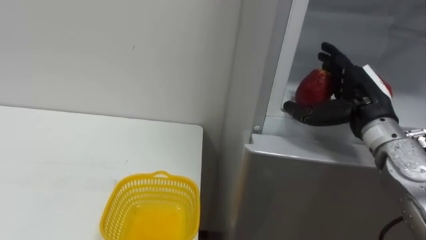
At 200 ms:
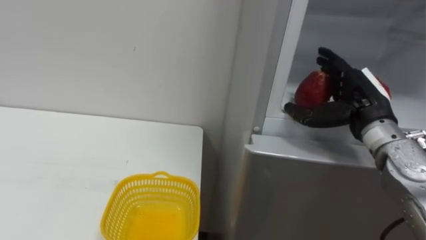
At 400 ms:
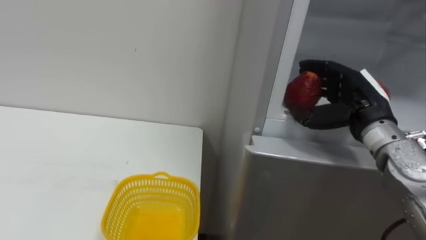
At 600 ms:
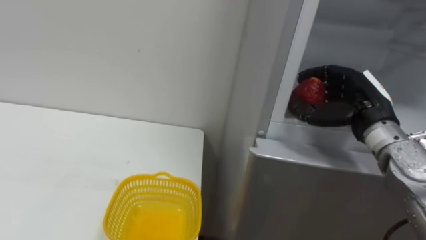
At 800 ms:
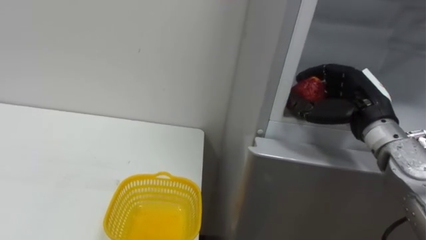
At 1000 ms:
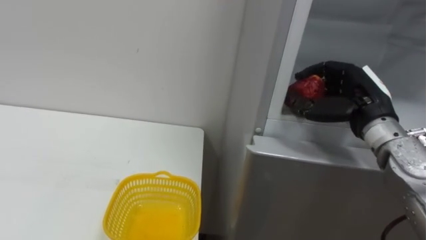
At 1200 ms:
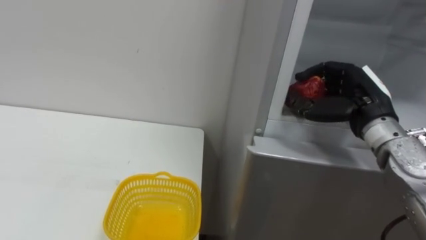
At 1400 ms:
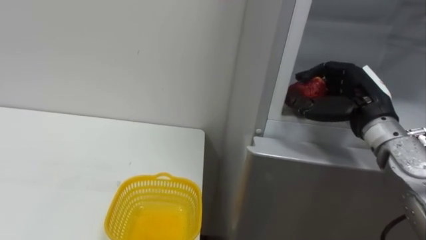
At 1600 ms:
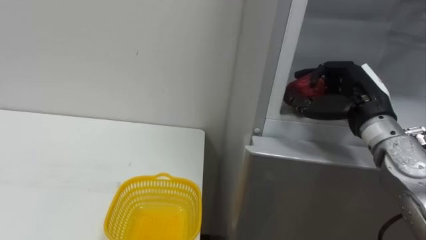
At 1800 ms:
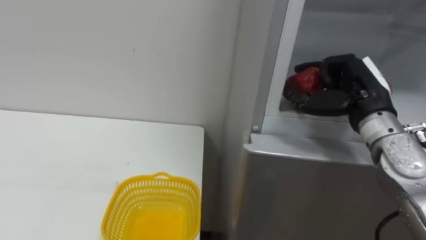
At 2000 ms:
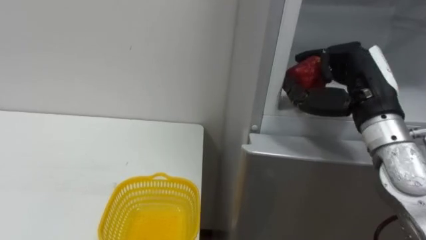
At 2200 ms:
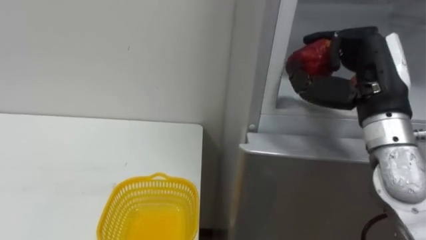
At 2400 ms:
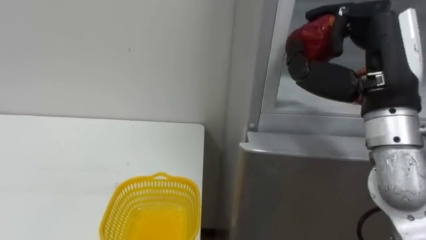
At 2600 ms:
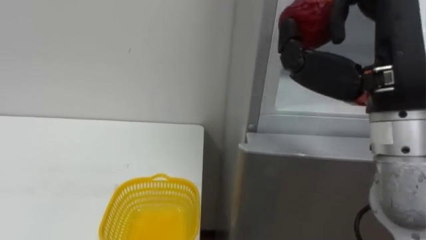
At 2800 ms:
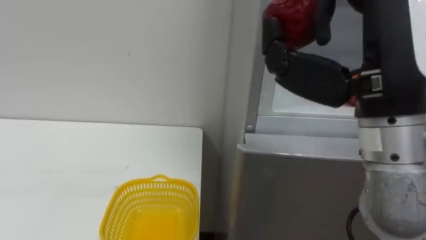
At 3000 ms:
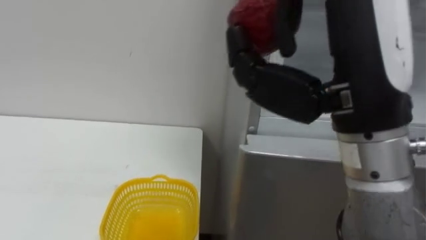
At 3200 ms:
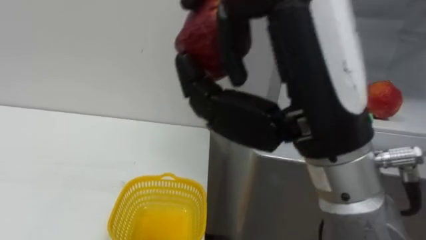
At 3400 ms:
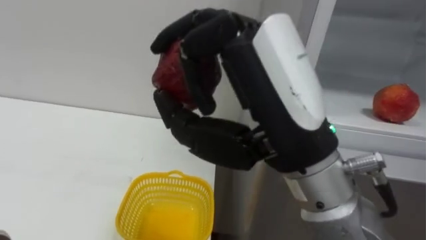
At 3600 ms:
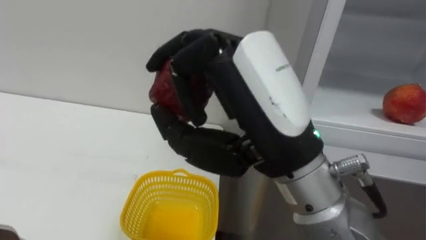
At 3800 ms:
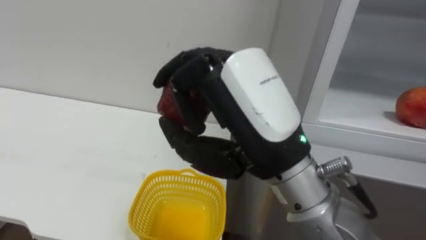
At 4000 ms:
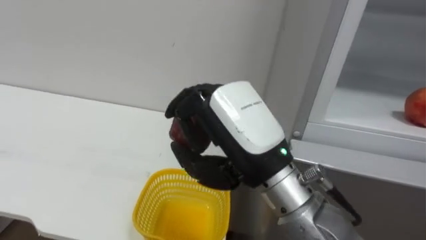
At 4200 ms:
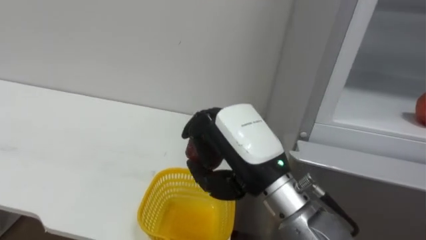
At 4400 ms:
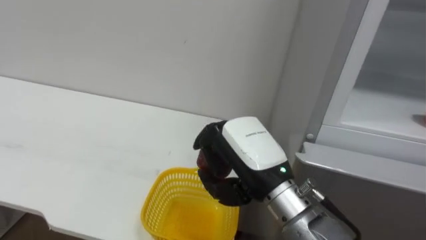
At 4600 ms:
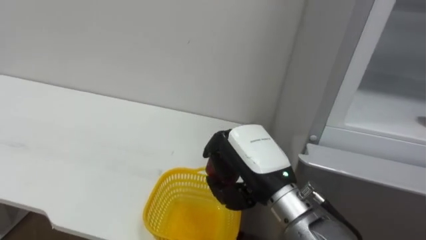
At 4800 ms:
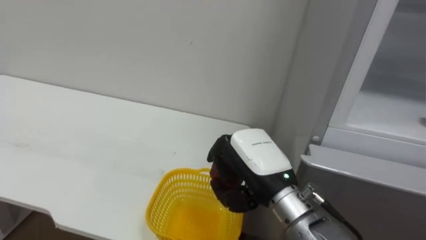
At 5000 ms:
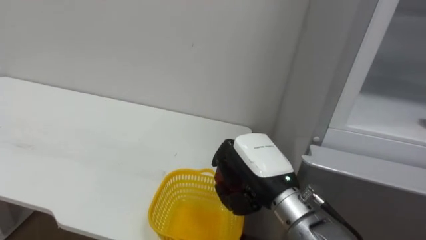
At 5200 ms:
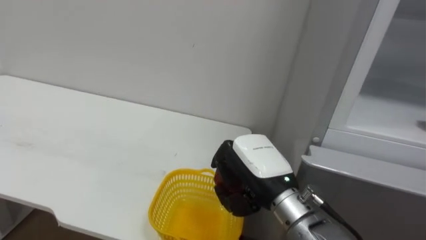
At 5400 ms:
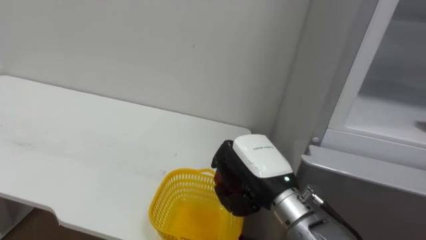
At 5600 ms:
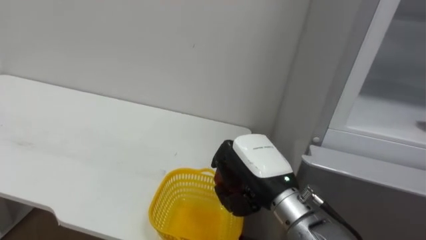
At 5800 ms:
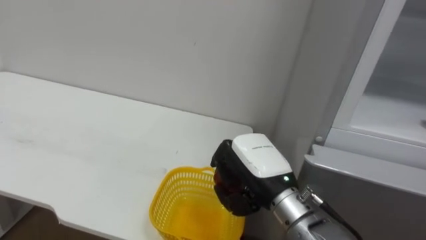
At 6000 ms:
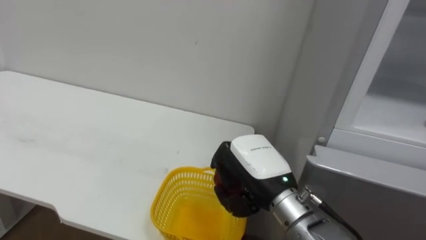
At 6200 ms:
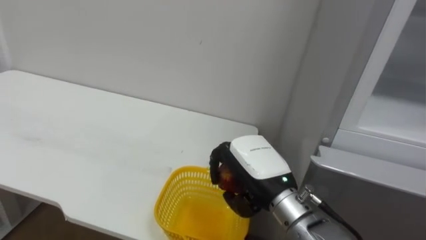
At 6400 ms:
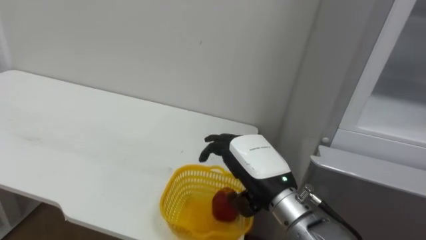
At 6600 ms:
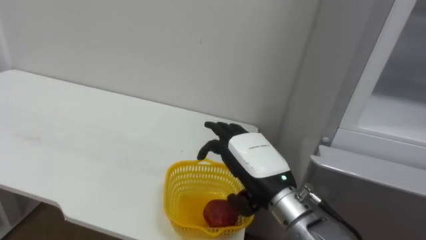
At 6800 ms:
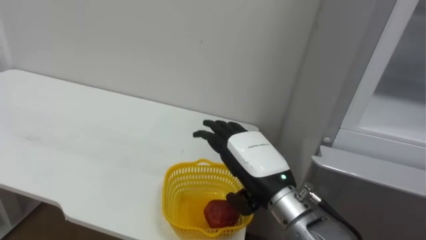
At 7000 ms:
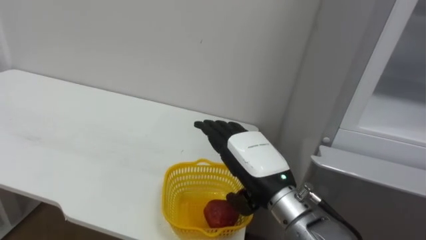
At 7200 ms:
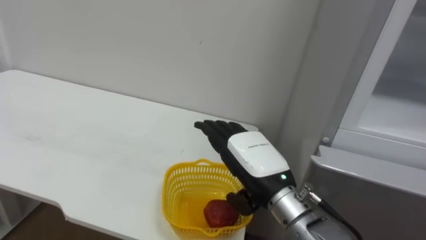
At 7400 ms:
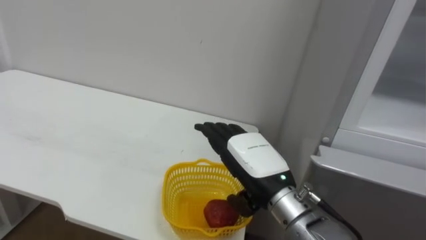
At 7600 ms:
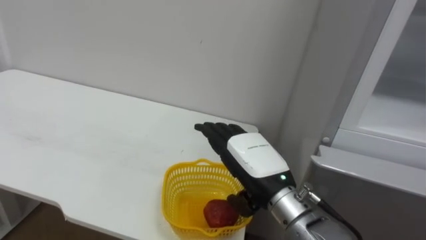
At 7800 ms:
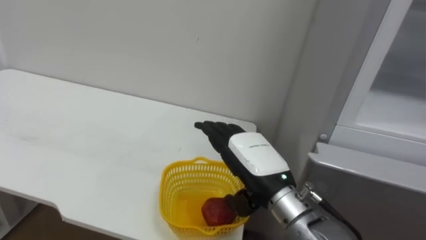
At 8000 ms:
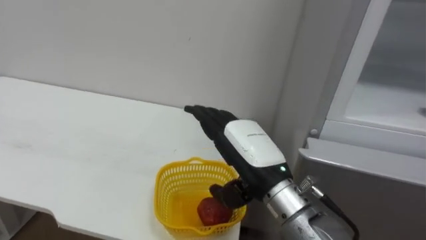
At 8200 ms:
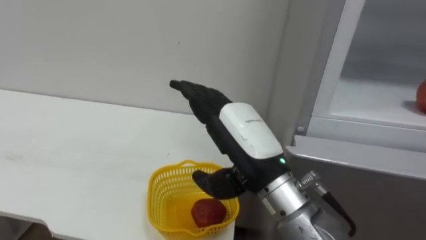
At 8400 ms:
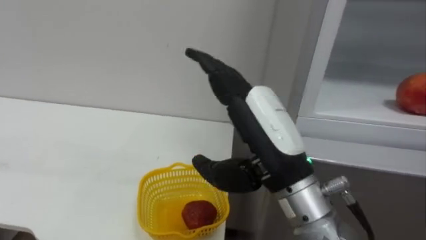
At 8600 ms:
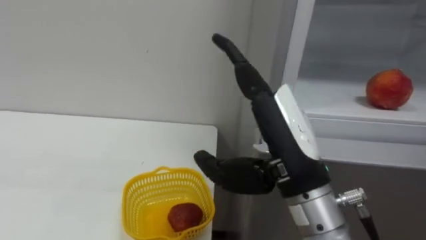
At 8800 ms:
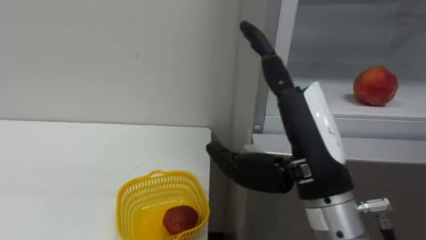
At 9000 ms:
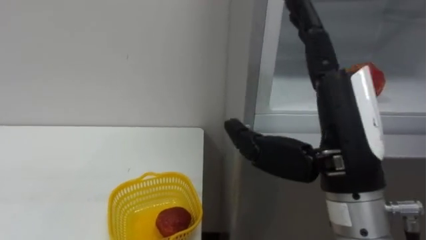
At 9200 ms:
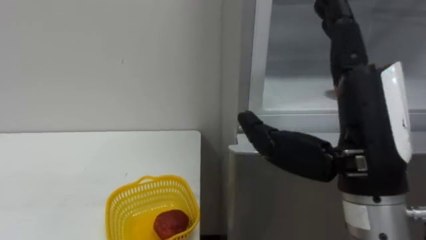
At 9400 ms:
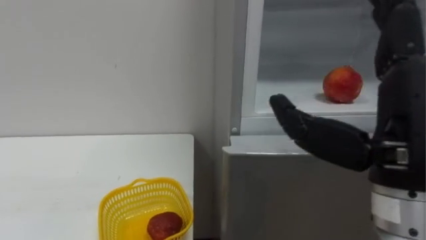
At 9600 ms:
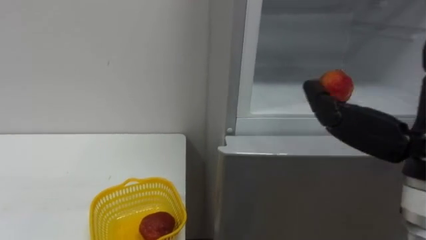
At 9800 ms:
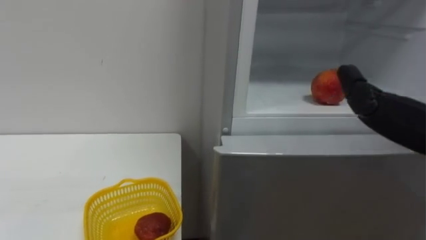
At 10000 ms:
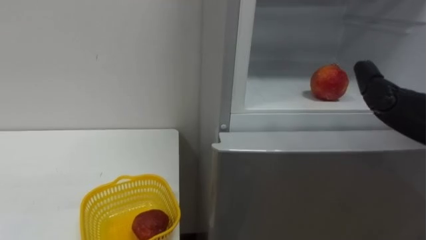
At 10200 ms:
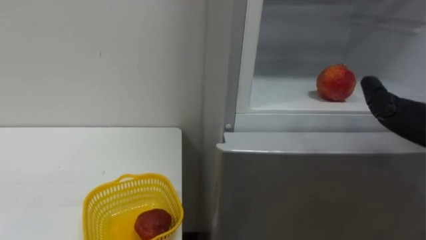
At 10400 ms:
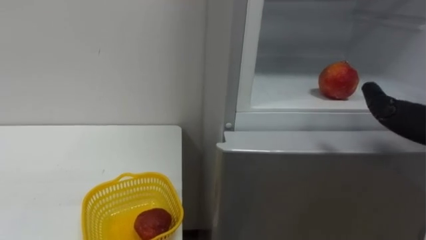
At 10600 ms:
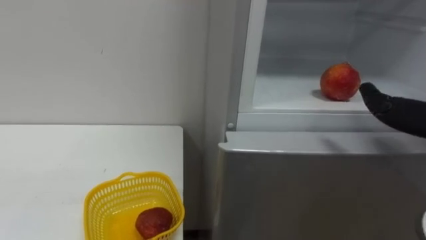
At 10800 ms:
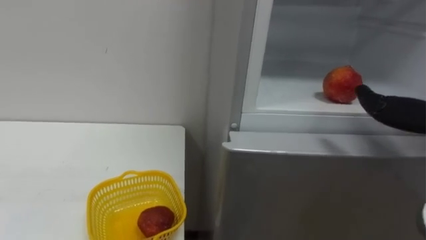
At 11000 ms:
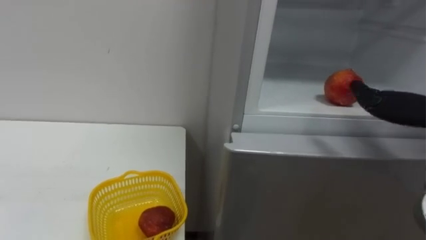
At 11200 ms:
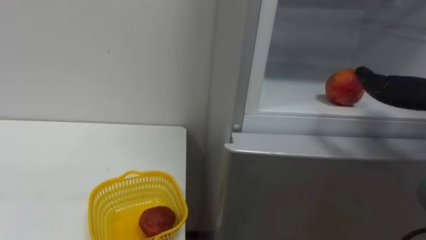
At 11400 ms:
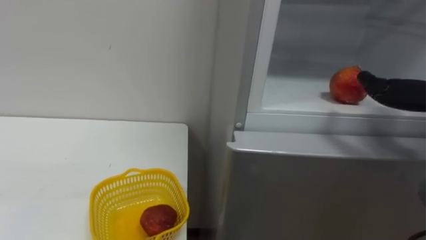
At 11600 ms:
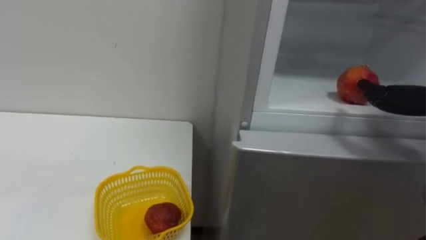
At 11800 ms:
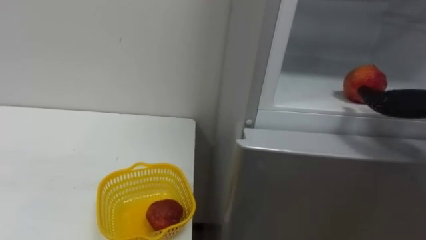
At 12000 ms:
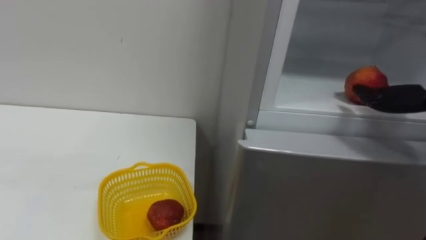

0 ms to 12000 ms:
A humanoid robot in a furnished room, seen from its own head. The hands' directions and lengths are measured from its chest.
Task of the whole recording: Open the refrigerator door, take out the apple and the pomegranate, place them in the fruit basket on the left, and close the refrigerator door.
0 ms to 1600 ms: The right hand closes its fingers.
1600 ms to 3000 ms: The right hand goes some 25 cm backward, upward and to the left.
3000 ms to 4400 ms: The right hand is displaced downward, to the left and forward by roughly 20 cm.
4400 ms to 6000 ms: The right hand ends up about 5 cm from where it was.
6000 ms to 7600 ms: The right hand opens.
7600 ms to 9000 ms: The right hand travels upward, backward and to the right by approximately 15 cm.

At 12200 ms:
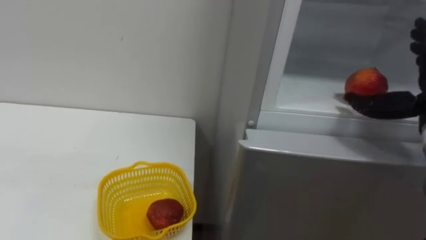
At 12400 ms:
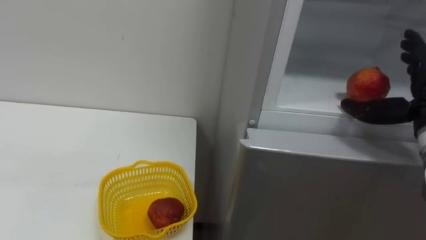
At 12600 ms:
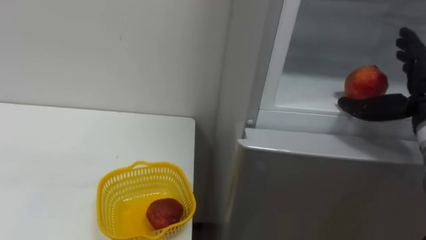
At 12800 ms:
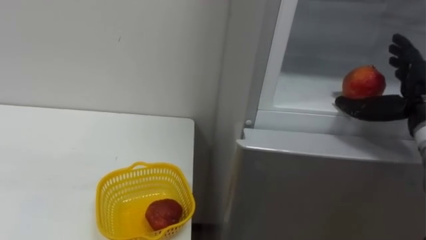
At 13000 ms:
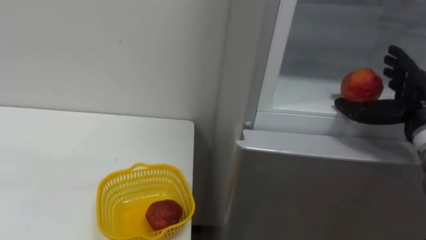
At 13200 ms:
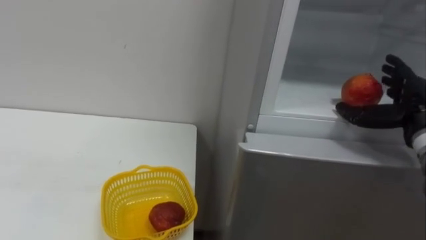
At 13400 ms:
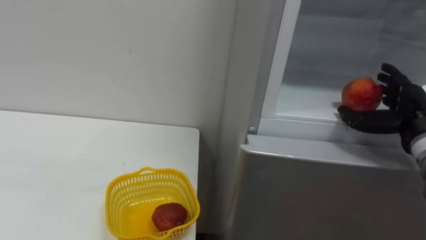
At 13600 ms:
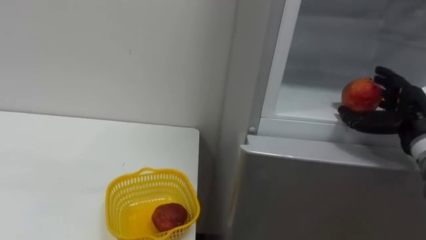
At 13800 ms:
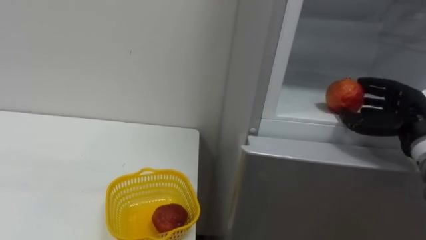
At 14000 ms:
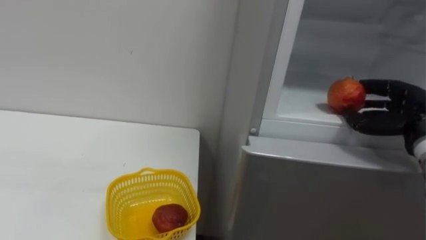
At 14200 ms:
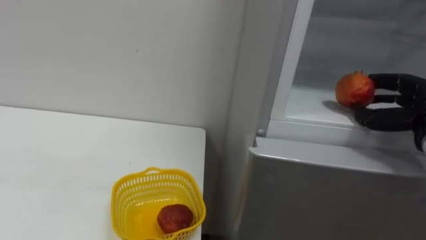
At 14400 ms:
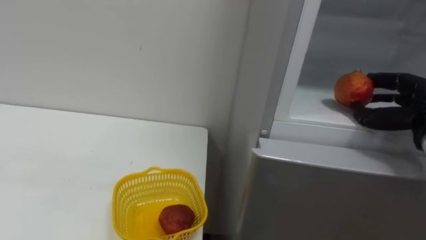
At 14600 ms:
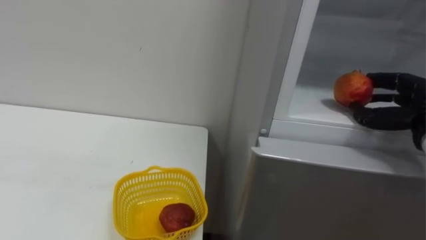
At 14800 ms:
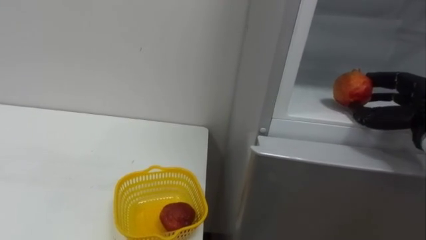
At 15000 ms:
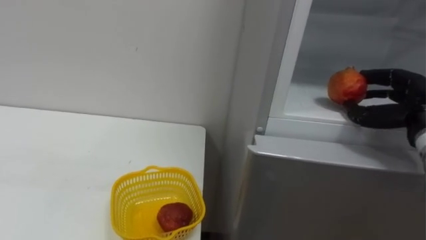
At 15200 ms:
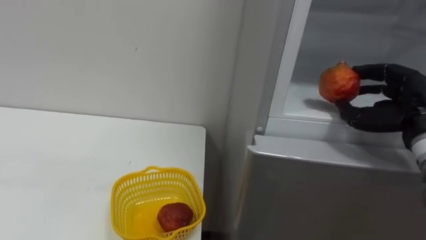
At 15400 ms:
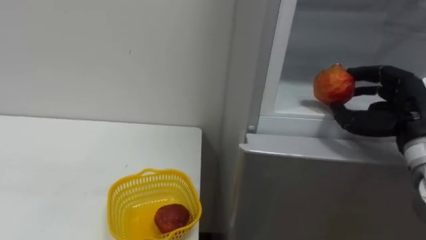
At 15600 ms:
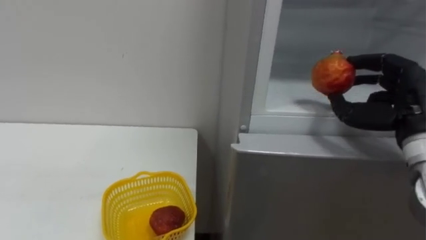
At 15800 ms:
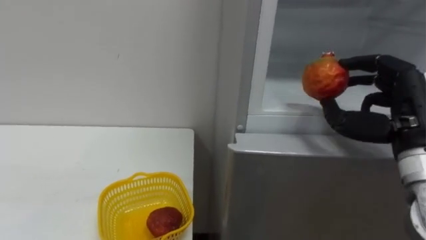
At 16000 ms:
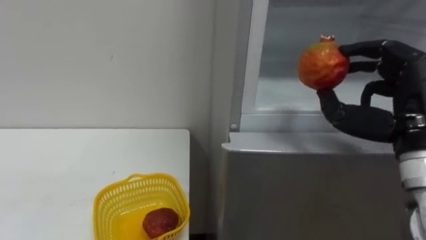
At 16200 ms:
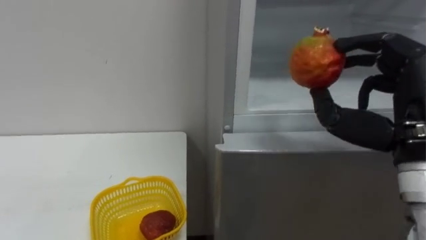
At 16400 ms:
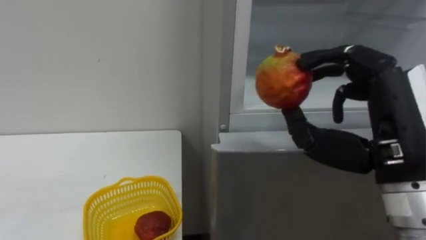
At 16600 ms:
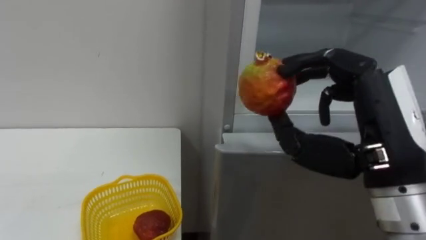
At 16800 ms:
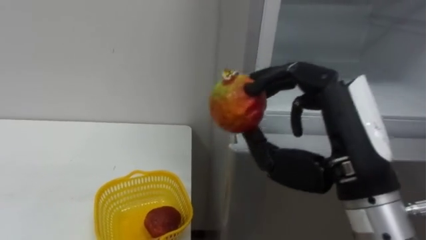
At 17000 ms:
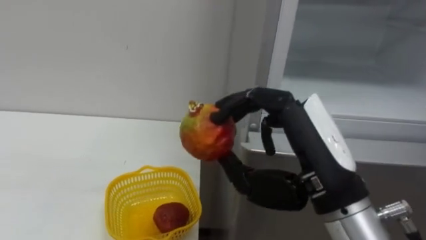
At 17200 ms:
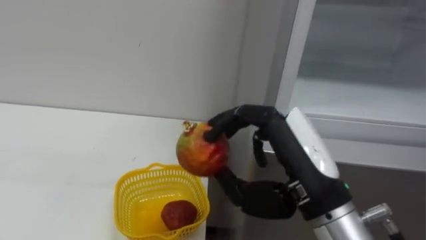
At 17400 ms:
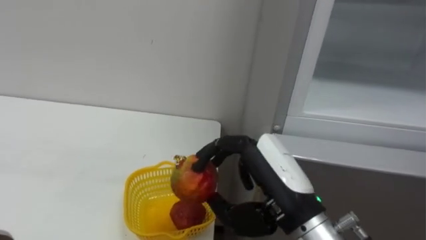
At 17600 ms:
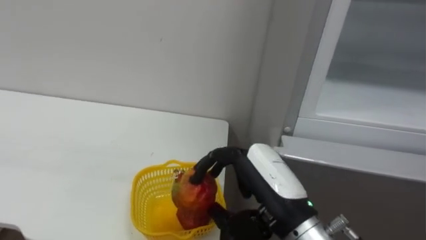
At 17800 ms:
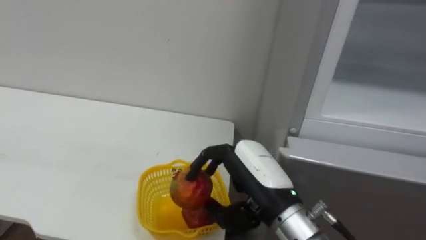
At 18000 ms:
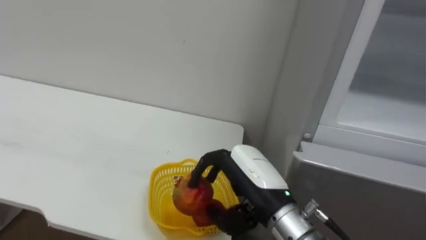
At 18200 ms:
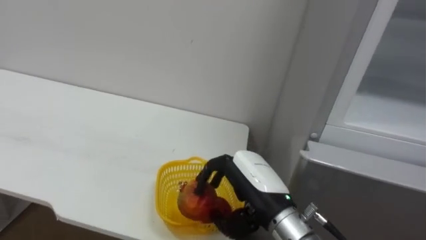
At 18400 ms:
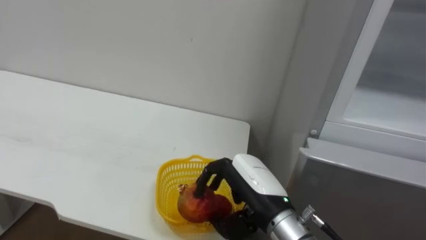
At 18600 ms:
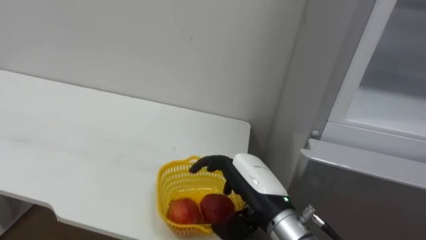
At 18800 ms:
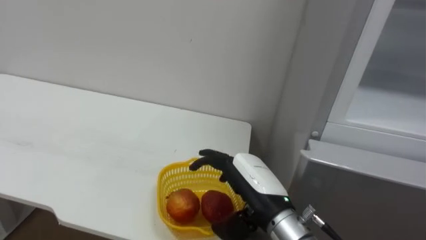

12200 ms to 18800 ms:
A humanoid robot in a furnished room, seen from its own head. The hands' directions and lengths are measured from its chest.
Task of the whole recording: Open the refrigerator door, take out the apple and the pomegranate, place them in the fruit basket on the left, and close the refrigerator door.
13800 ms to 15400 ms: The right hand ends up approximately 5 cm from where it was.
15400 ms to 17200 ms: The right hand goes roughly 20 cm to the left and backward.
17200 ms to 18800 ms: The right hand moves downward and forward, approximately 15 cm, and opens its fingers.
